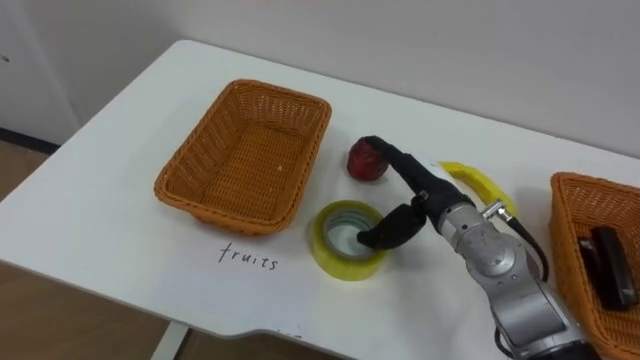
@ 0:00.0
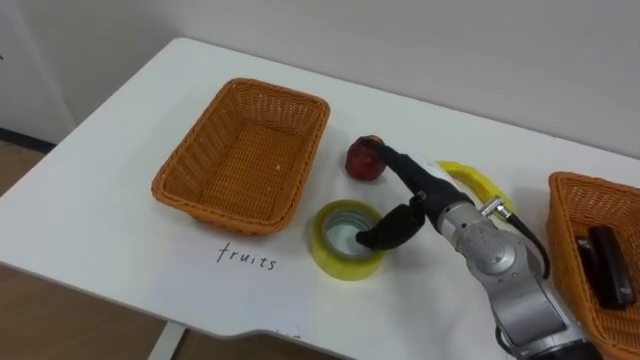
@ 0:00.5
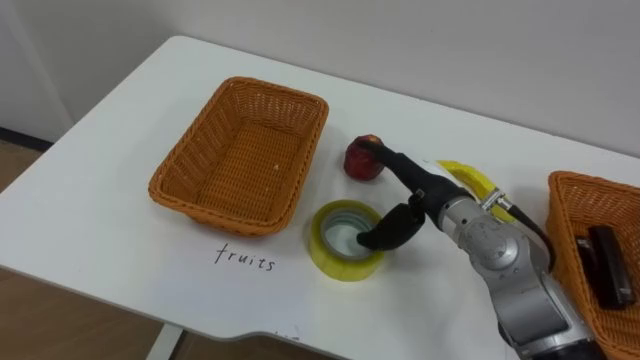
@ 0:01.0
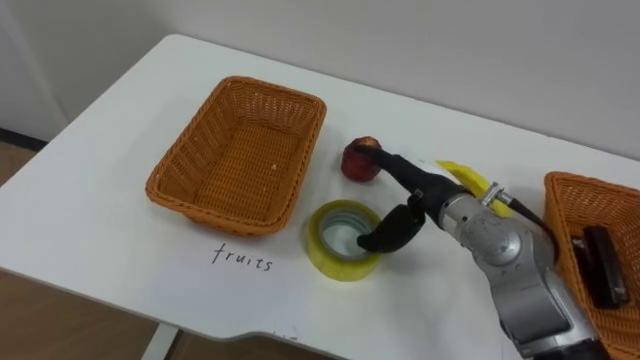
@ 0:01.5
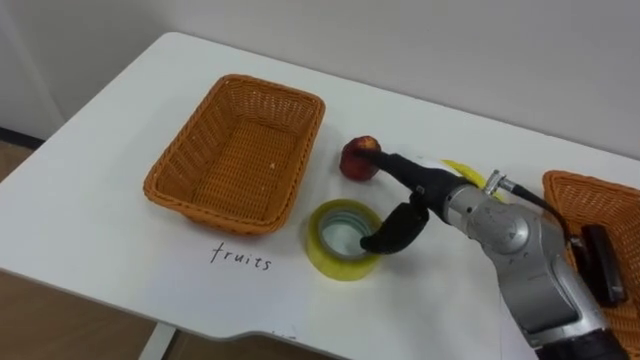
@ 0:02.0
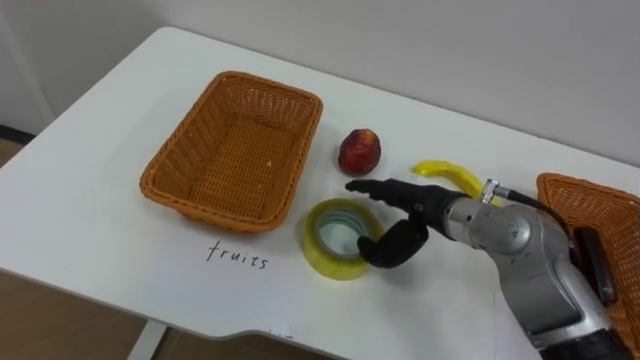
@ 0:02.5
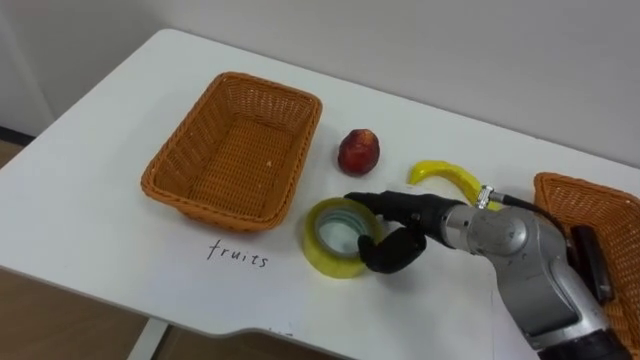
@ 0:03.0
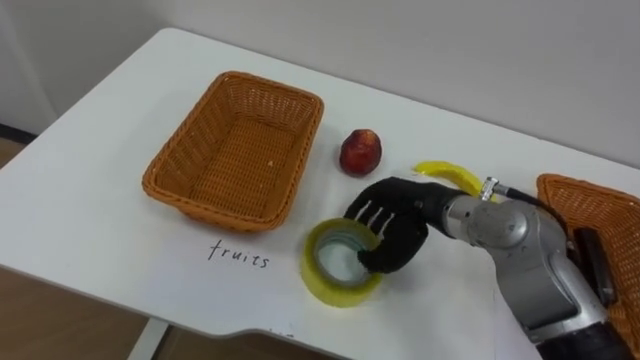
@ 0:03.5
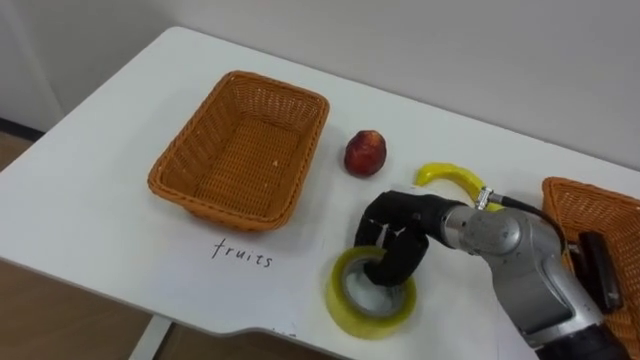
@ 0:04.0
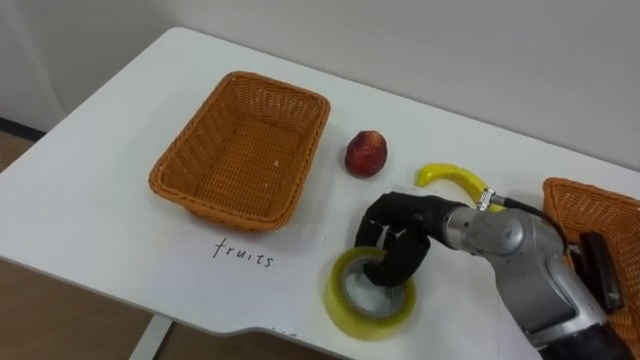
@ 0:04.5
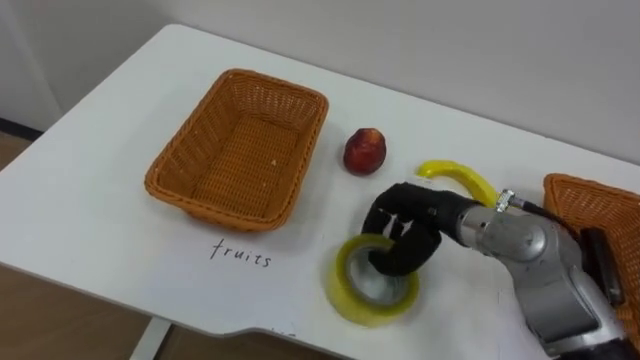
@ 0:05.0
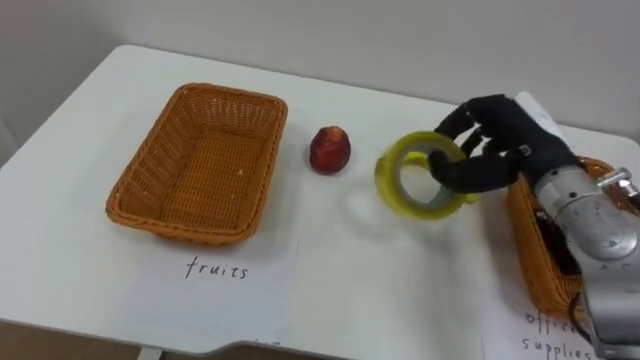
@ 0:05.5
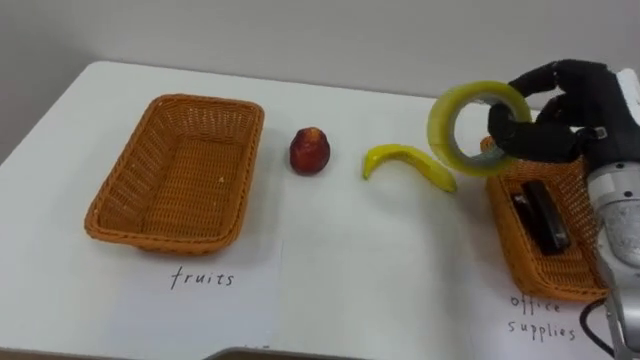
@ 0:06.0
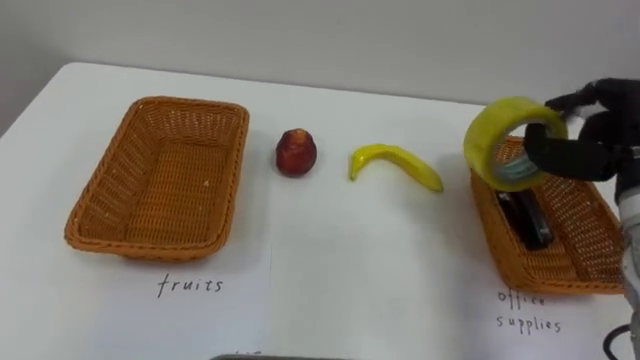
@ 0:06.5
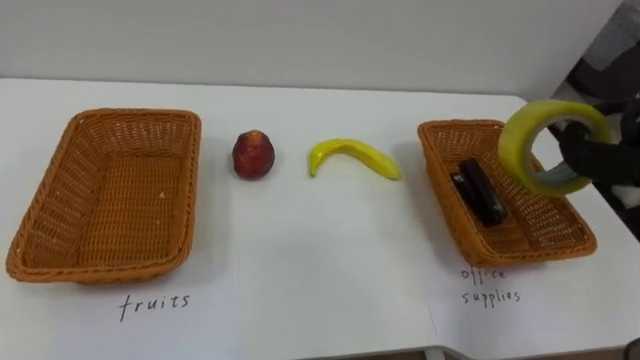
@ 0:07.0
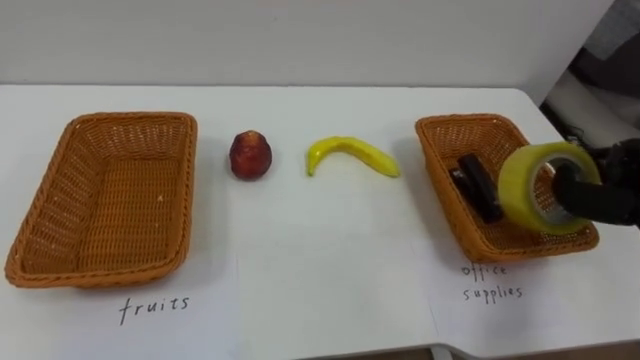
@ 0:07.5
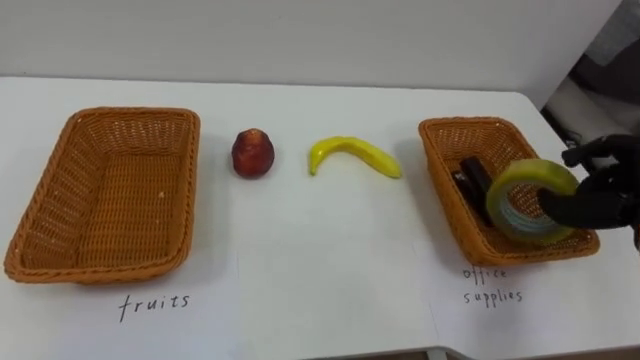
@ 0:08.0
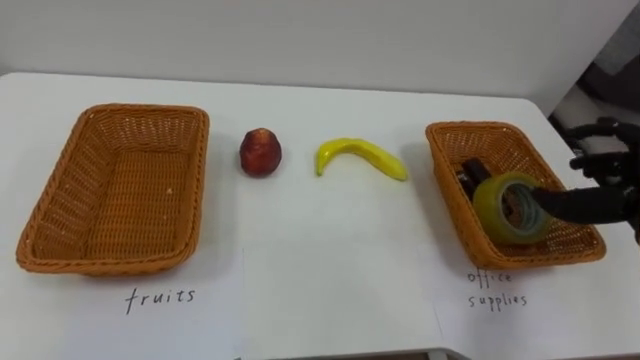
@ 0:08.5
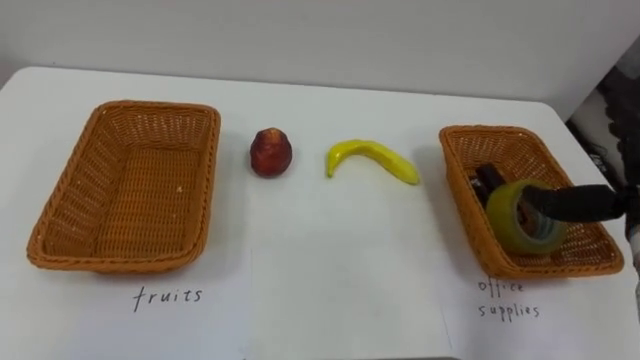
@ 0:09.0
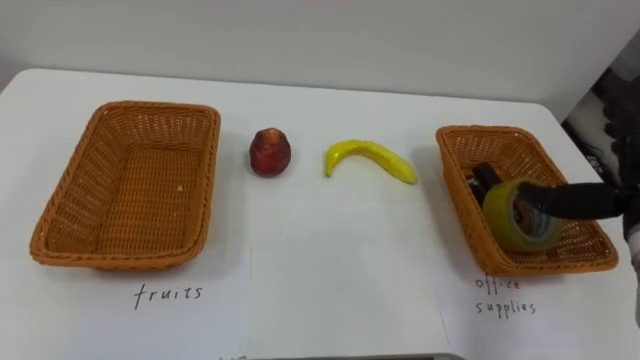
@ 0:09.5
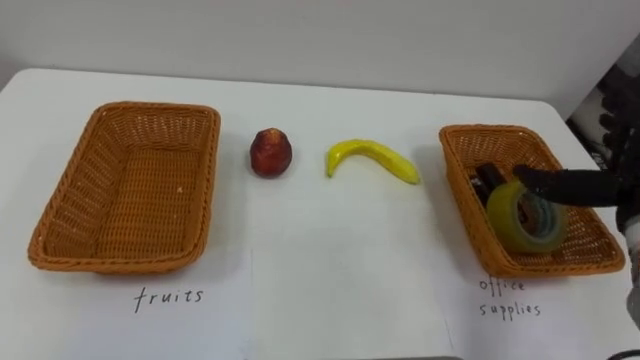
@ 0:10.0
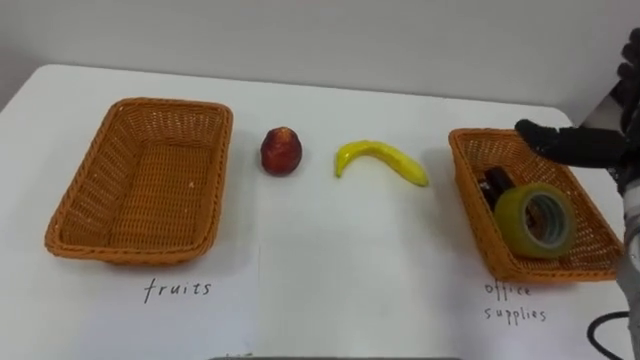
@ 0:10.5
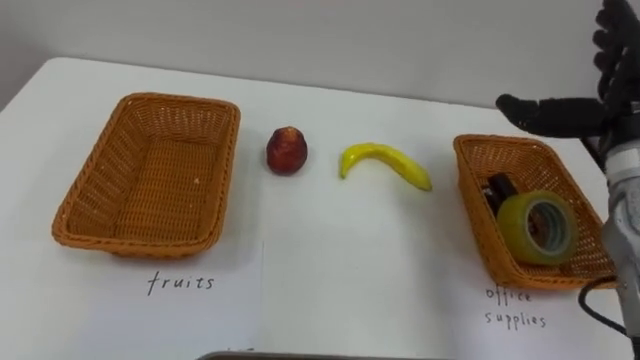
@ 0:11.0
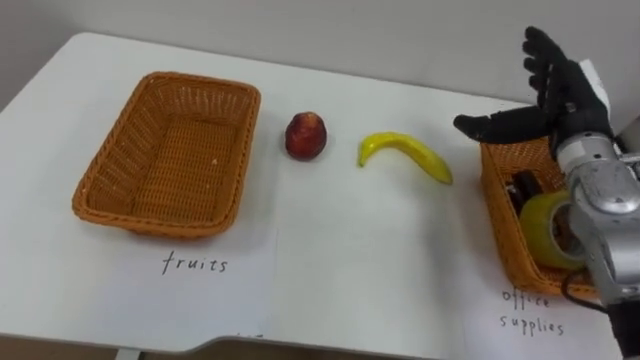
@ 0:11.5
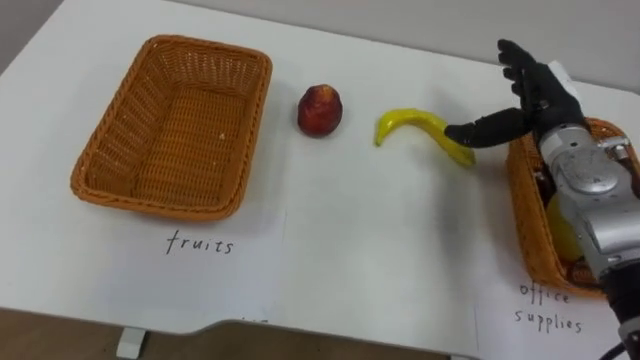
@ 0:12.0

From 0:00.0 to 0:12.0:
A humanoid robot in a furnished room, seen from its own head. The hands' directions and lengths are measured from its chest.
Task of the whole recording: Separate the items on the table and place them into the two baskets.
From 0:02.0 to 0:04.0: The right hand closes its fingers.
From 0:04.0 to 0:06.0: The right hand shifts roughly 20 cm to the right and upward.

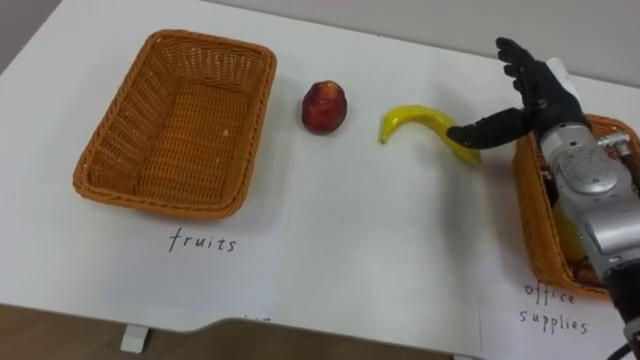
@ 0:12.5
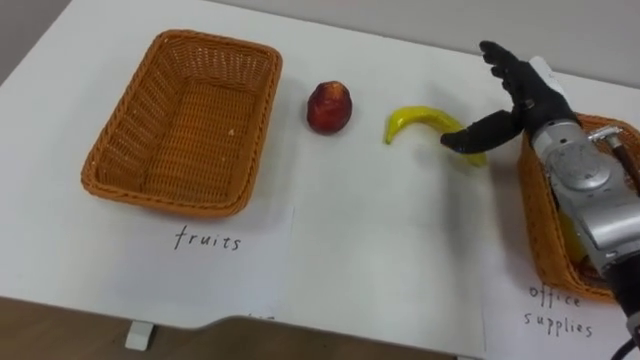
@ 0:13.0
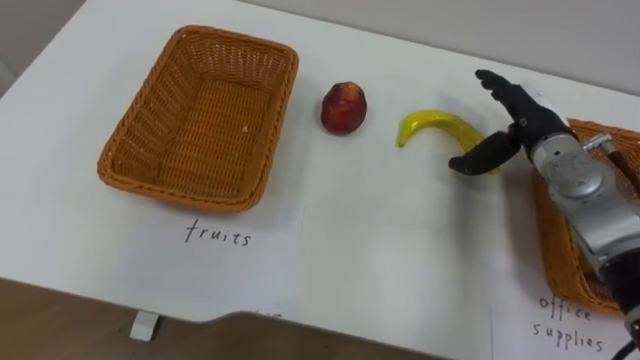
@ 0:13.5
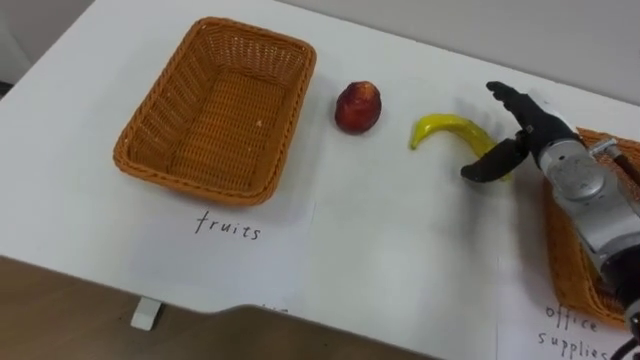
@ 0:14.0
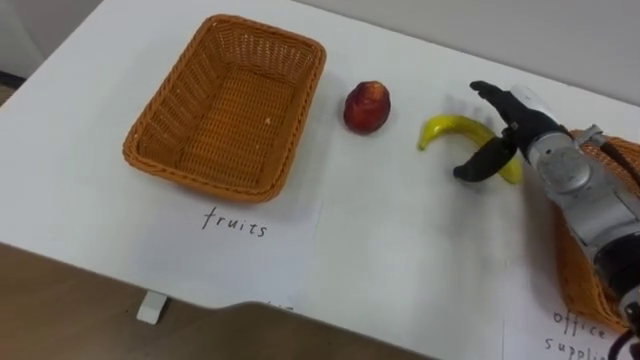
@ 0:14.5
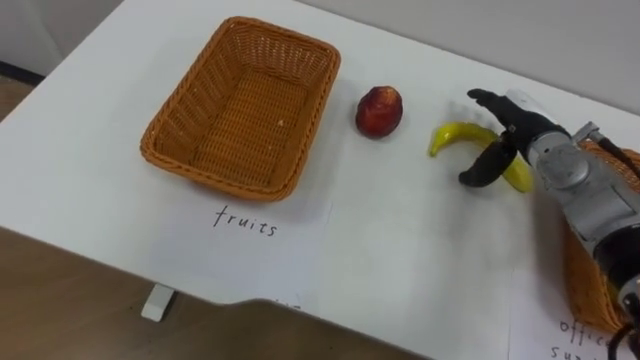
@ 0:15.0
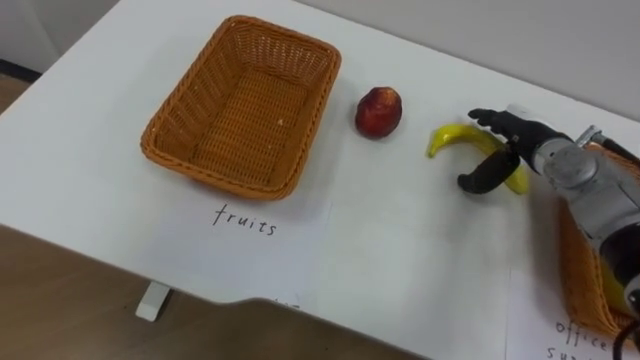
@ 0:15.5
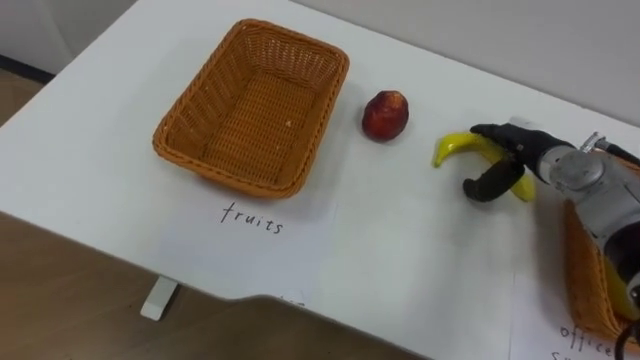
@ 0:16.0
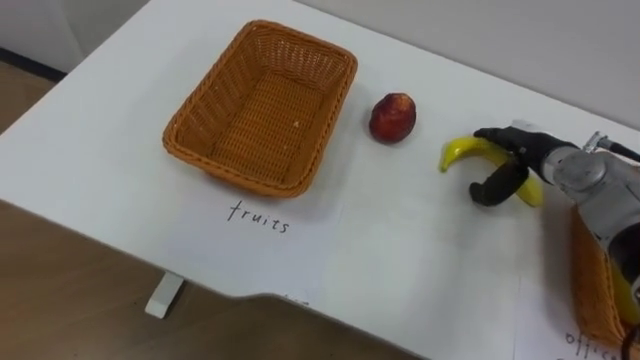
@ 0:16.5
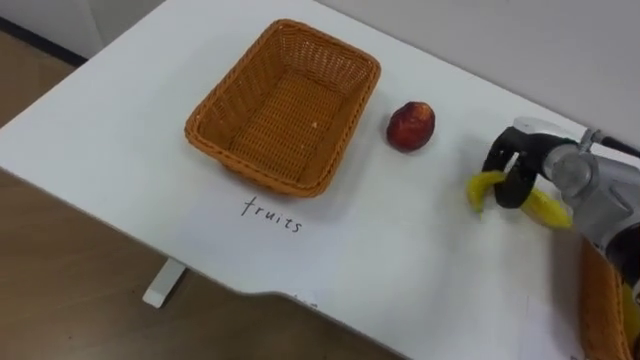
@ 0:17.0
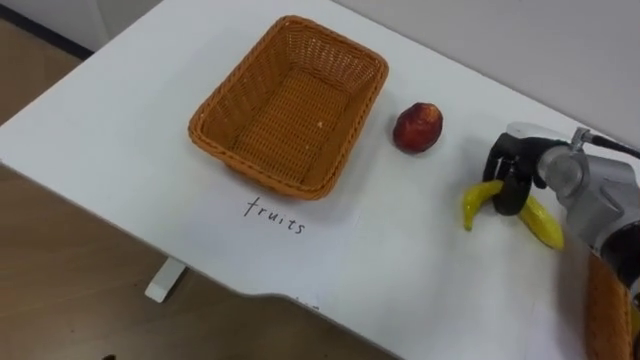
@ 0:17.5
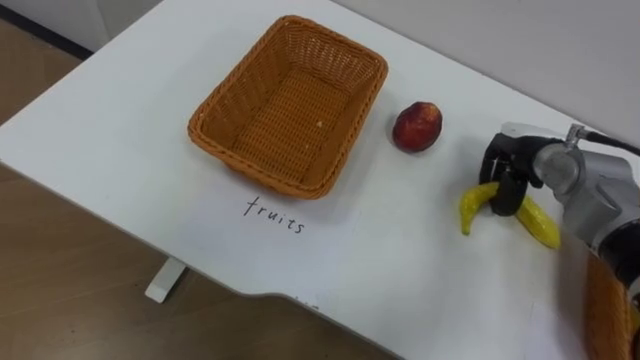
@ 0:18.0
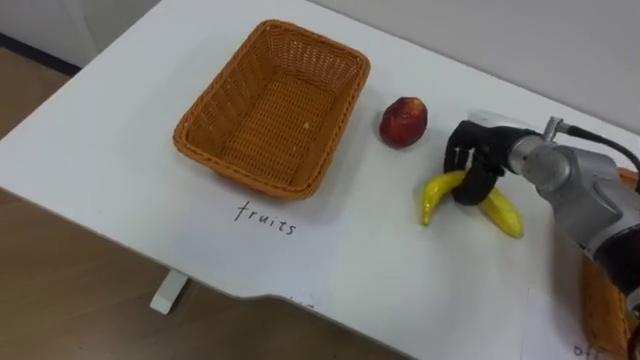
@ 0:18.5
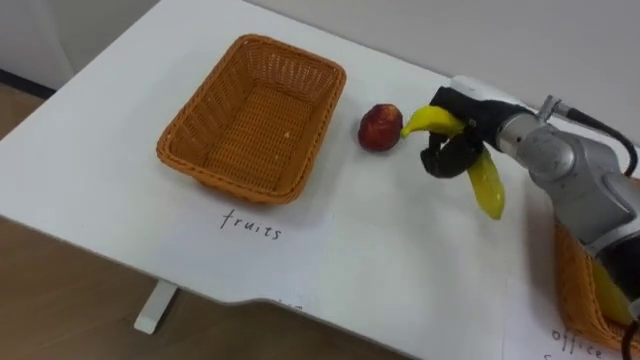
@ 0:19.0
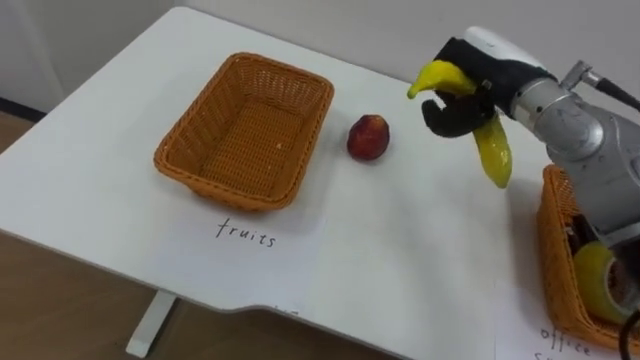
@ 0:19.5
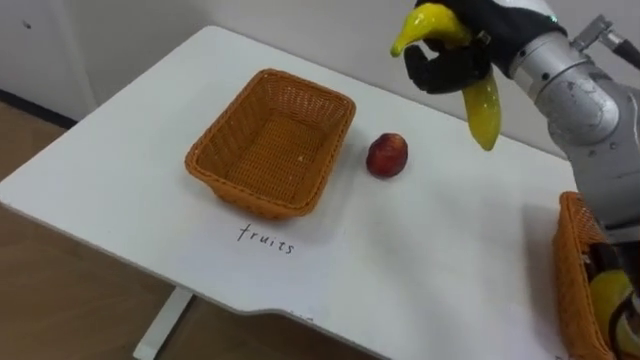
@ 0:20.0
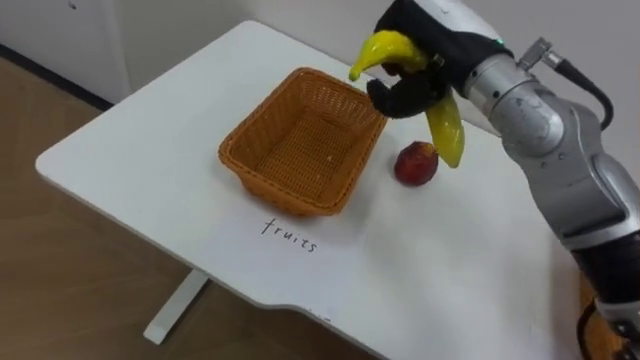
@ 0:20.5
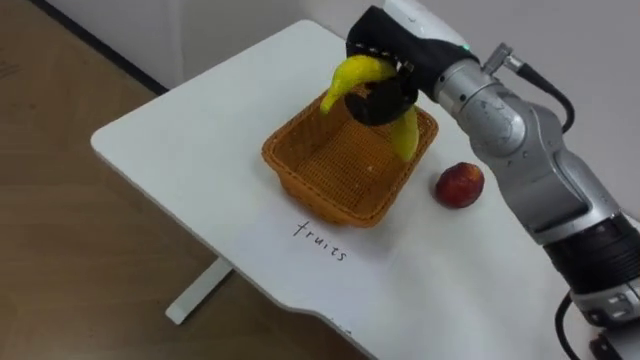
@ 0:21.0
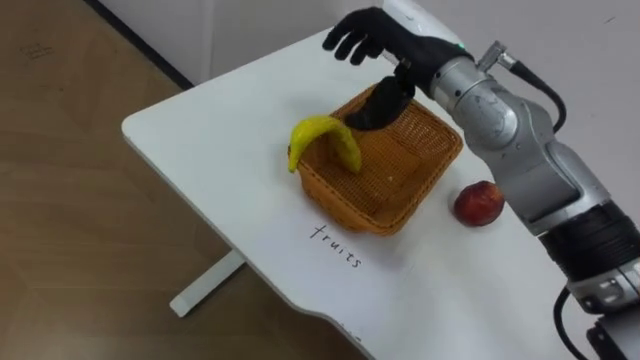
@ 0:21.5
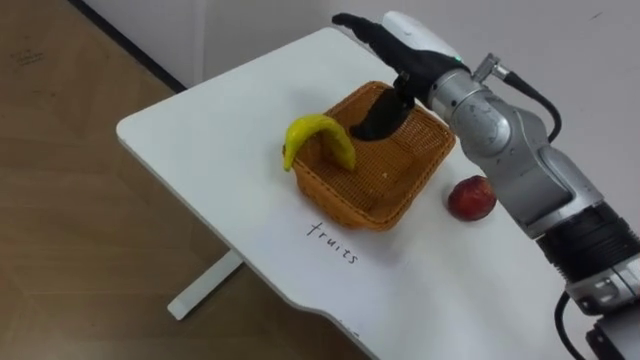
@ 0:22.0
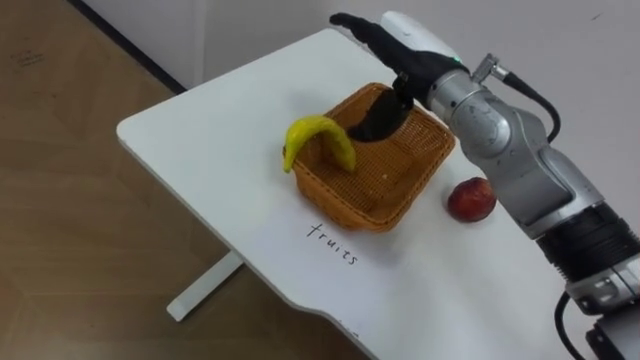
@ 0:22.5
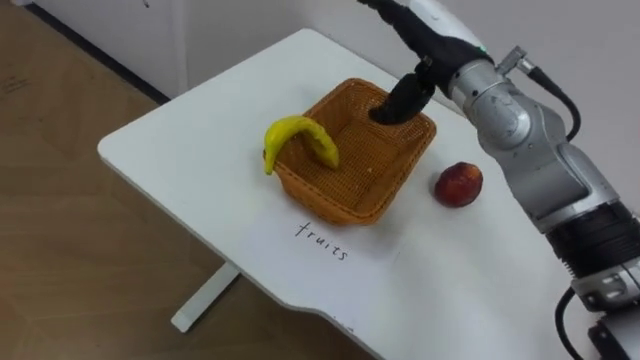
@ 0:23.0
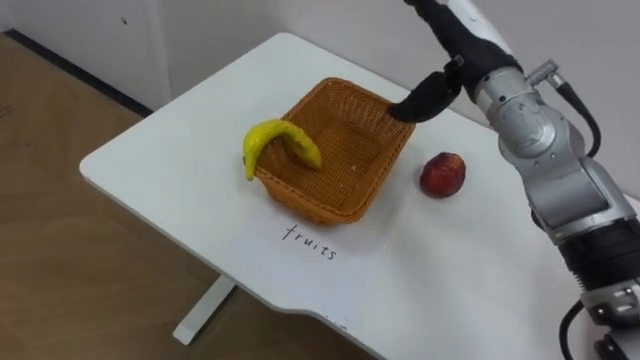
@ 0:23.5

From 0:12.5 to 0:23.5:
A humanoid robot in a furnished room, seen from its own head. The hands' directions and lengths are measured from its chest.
Task of the whole recording: Separate the items on the table and place them into the two baskets.
From 0:16.0 to 0:18.0: The right hand closes its fingers.
From 0:18.0 to 0:20.0: The right hand heads upward and to the left, covering about 25 cm.
From 0:20.0 to 0:21.5: The right hand shifts approximately 5 cm to the left, and opens its fingers.
From 0:21.5 to 0:23.5: The right hand goes approximately 5 cm to the right.
